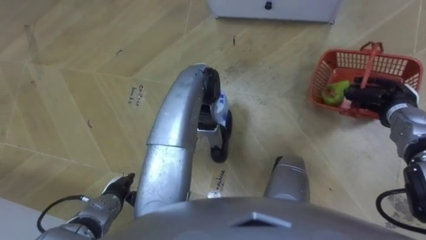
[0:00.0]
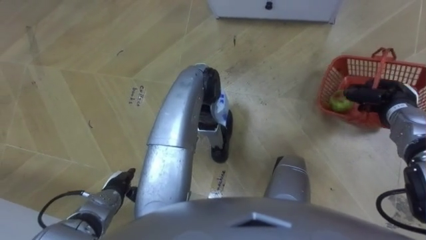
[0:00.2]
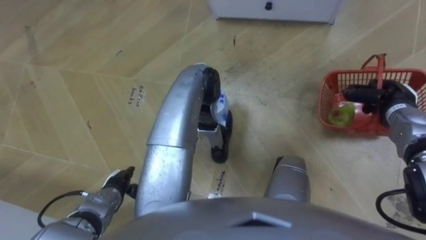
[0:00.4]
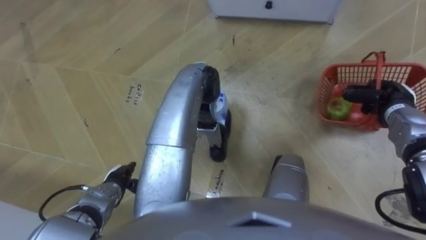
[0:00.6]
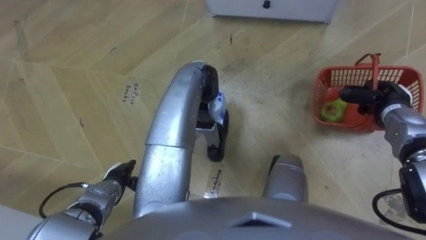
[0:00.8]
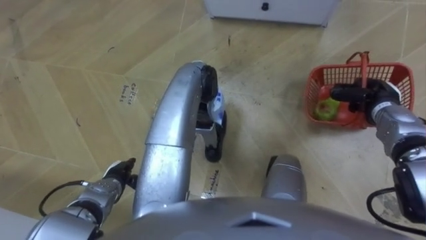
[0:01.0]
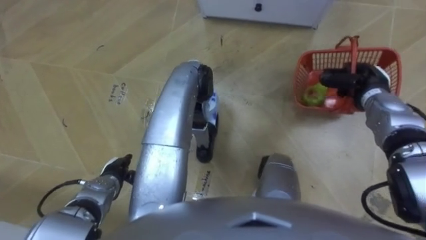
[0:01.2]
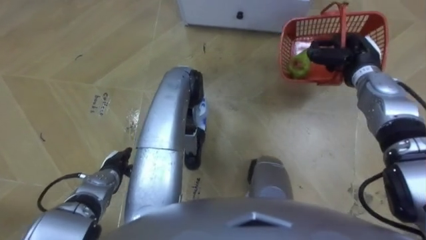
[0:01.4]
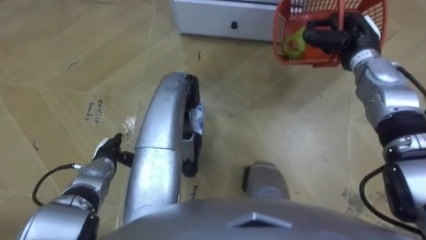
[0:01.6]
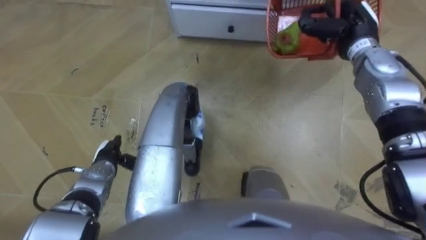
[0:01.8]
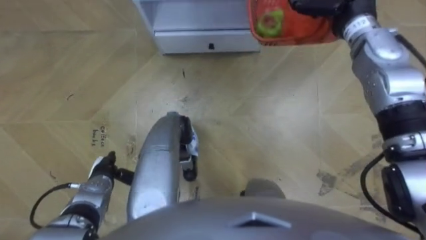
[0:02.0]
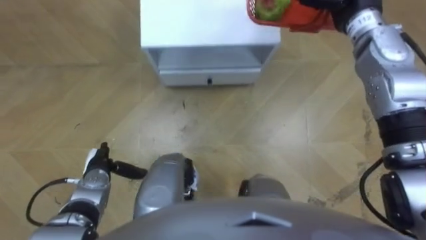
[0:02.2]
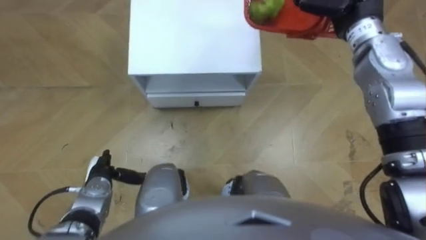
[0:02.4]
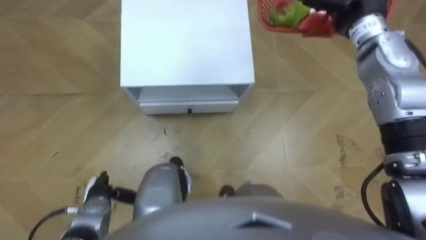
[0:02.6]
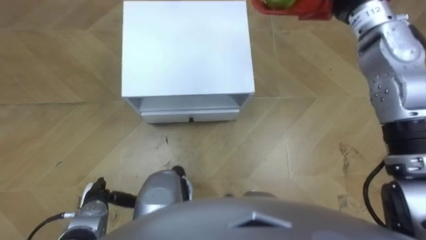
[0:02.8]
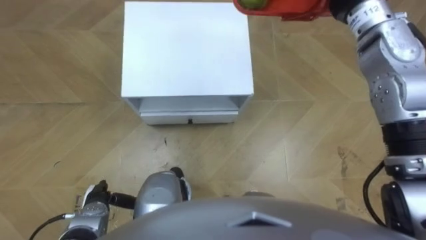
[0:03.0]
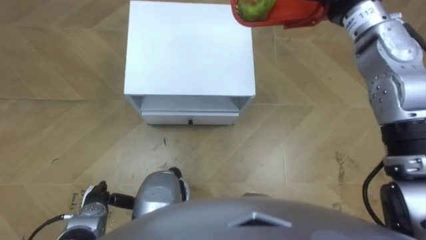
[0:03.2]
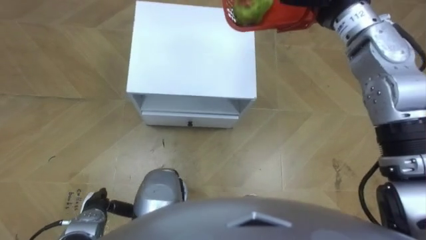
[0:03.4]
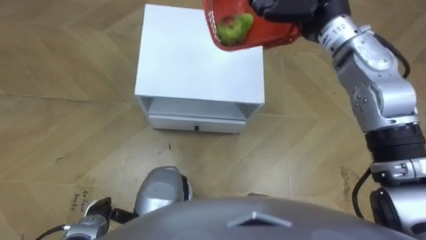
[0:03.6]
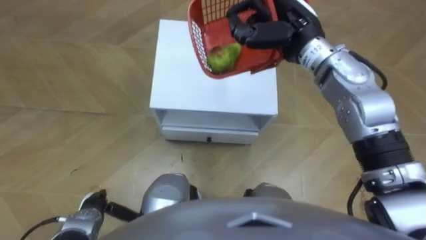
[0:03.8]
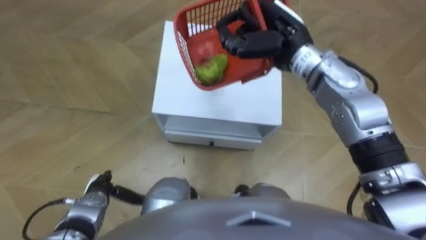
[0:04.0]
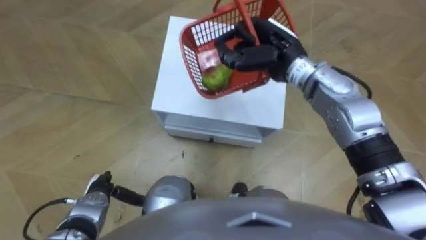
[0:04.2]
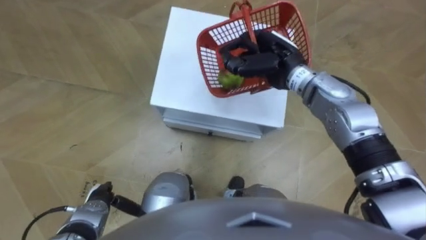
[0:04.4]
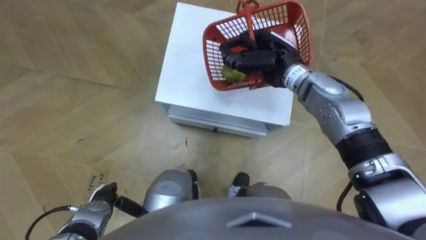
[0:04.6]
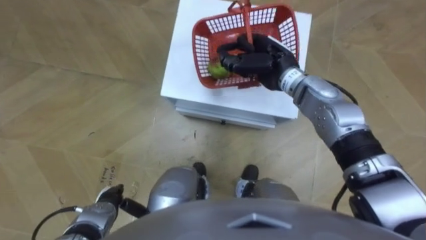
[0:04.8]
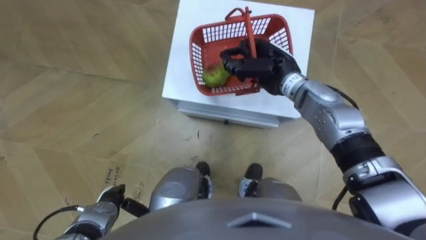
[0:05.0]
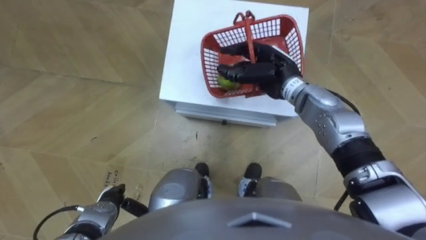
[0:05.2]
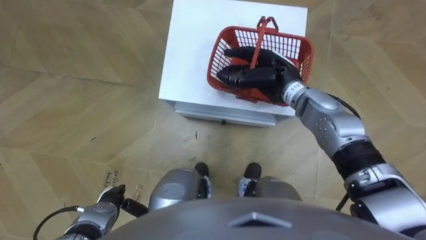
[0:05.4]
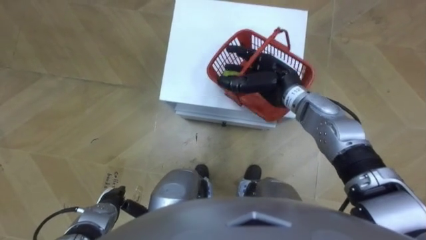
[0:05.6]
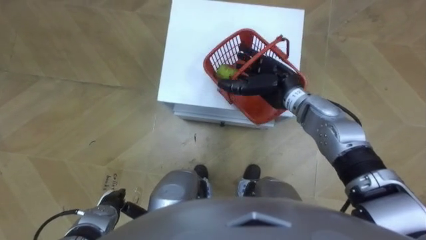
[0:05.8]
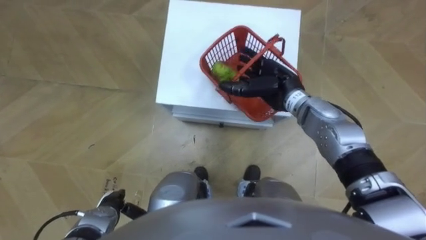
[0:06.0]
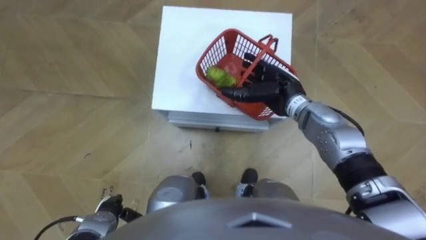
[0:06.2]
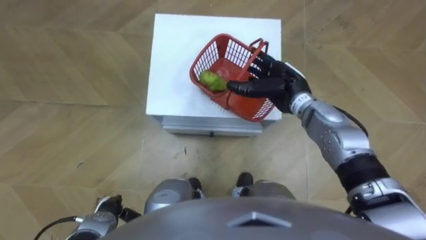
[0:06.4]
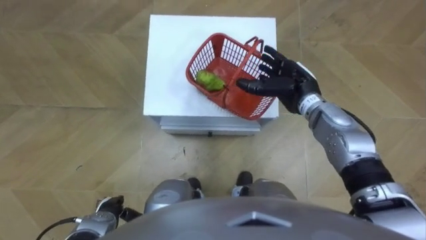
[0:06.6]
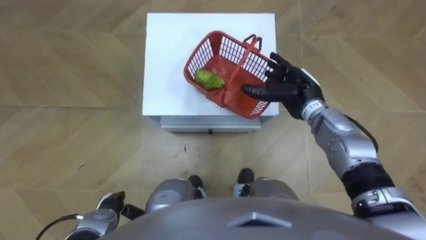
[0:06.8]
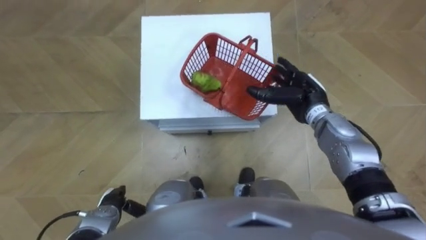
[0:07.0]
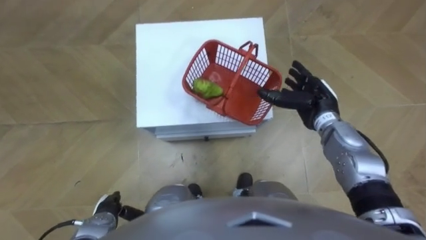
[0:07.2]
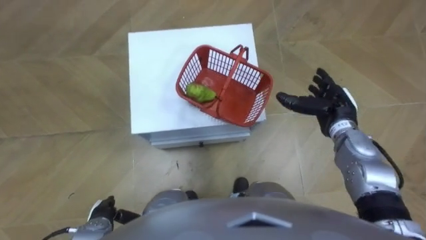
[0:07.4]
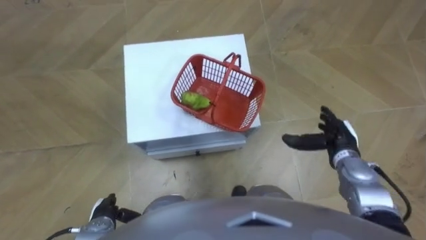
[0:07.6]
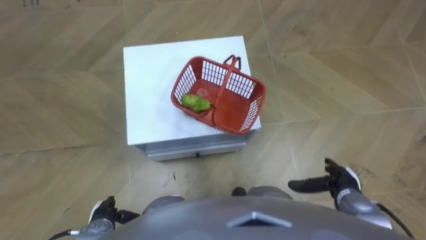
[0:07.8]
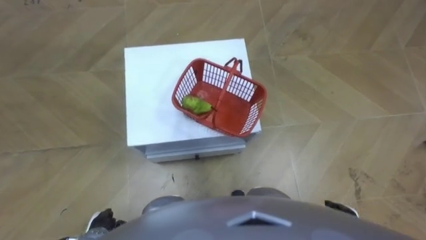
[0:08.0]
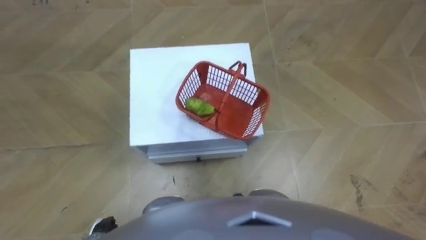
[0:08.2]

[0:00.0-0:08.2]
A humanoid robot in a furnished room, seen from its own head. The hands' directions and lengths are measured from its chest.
Task of the whole recording: Pick up the fruit basket from the floor and place it on the cabinet.
0:00.0 to 0:01.6: The right hand heads to the left, forward and upward, covering roughly 15 cm. Meanwhile the left hand is displaced forward by about 10 cm.
0:01.6 to 0:03.2: The left hand is displaced backward by roughly 10 cm.
0:05.0 to 0:06.6: The right hand moves to the right, roughly 5 cm, and opens.
0:06.6 to 0:08.2: The right hand moves backward and downward, about 35 cm.

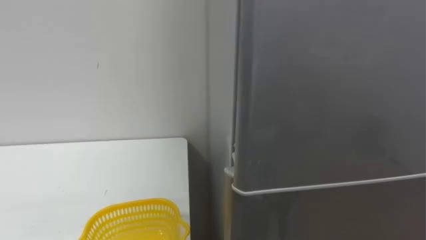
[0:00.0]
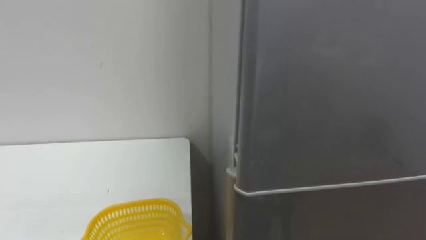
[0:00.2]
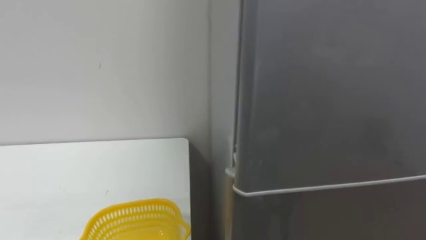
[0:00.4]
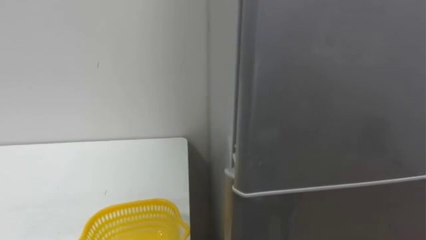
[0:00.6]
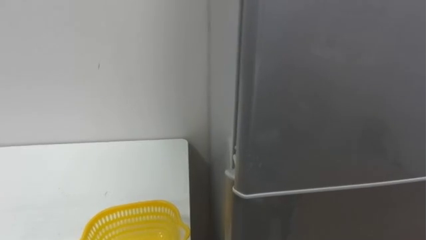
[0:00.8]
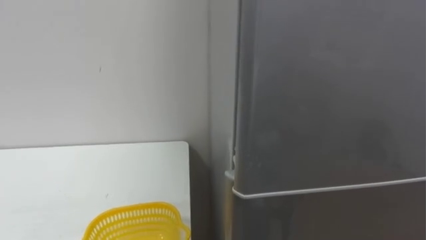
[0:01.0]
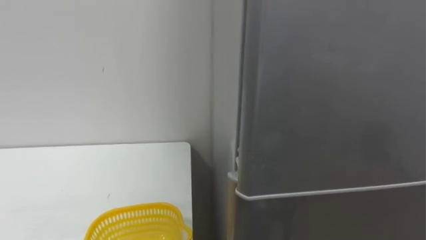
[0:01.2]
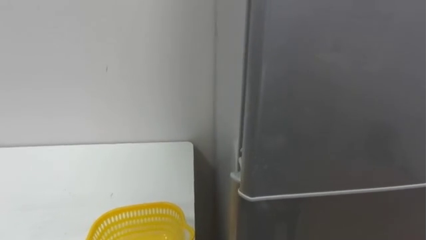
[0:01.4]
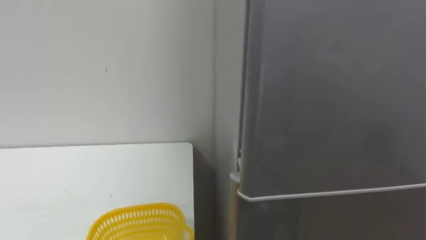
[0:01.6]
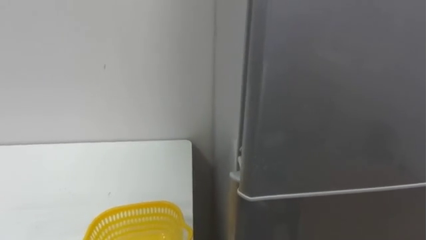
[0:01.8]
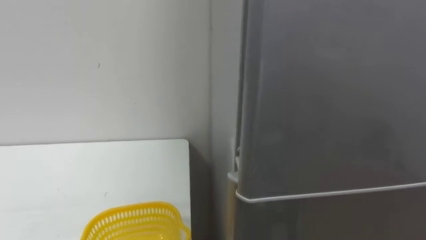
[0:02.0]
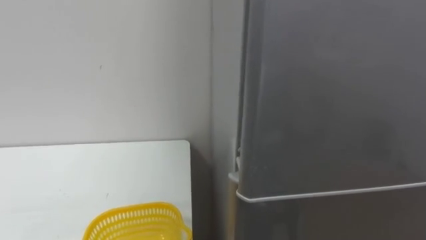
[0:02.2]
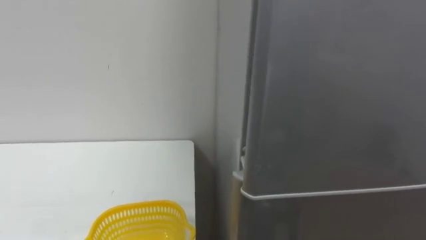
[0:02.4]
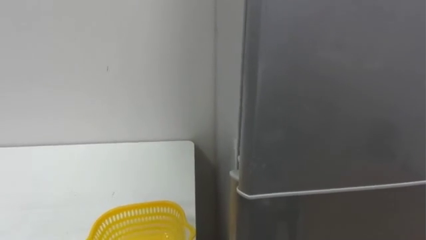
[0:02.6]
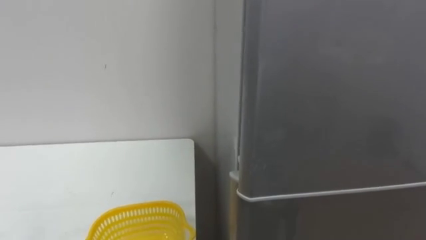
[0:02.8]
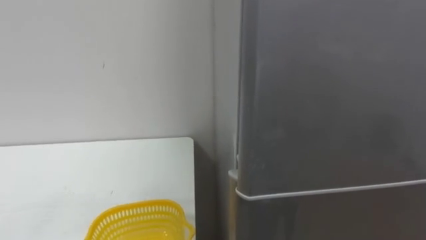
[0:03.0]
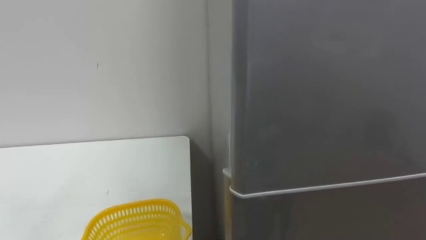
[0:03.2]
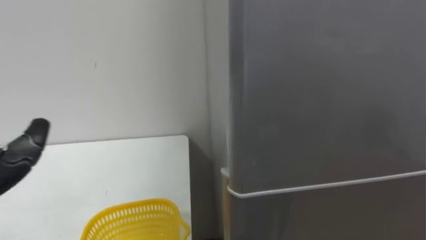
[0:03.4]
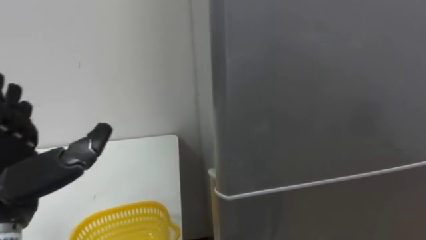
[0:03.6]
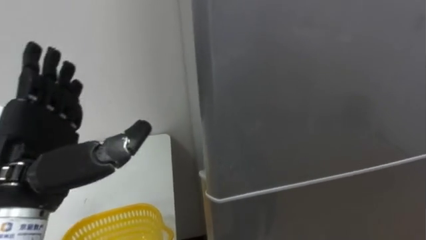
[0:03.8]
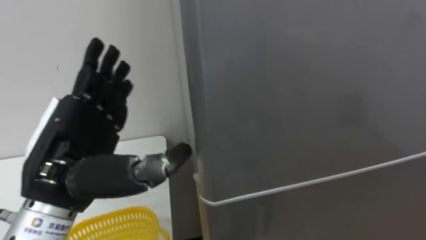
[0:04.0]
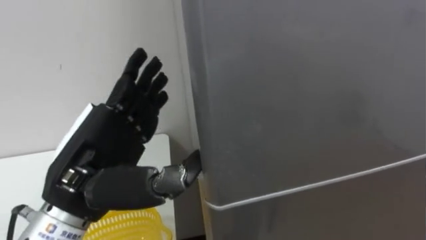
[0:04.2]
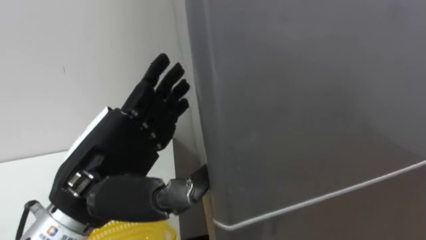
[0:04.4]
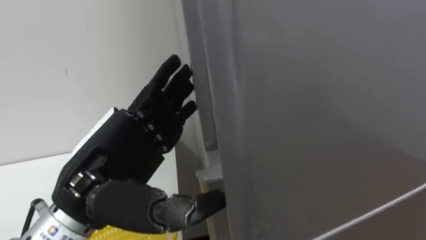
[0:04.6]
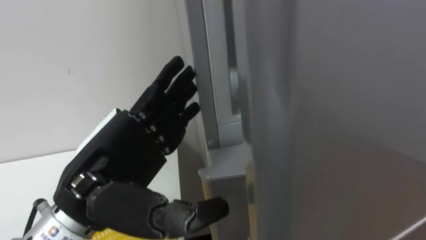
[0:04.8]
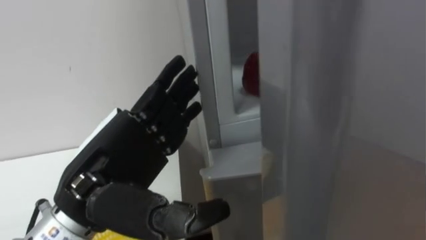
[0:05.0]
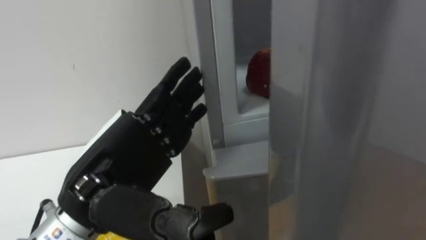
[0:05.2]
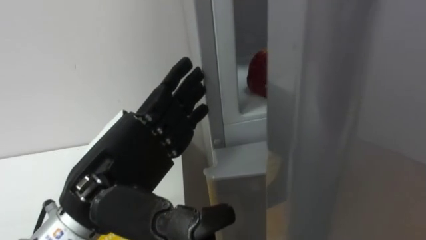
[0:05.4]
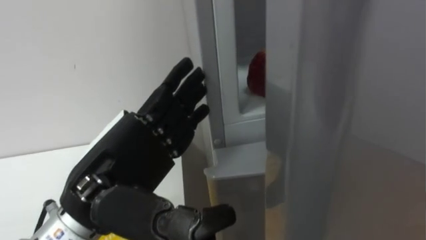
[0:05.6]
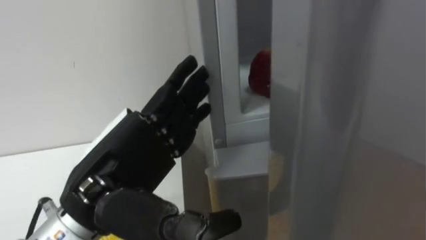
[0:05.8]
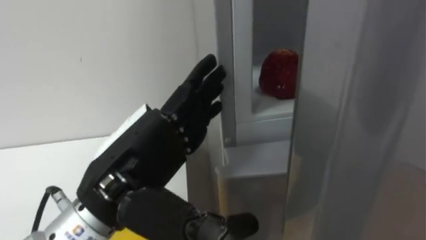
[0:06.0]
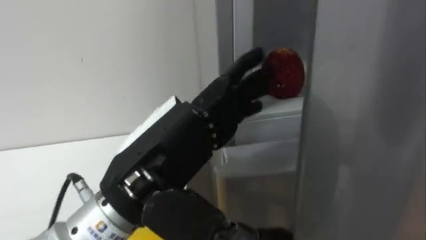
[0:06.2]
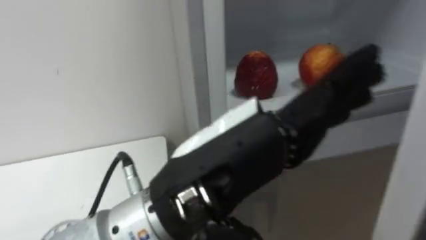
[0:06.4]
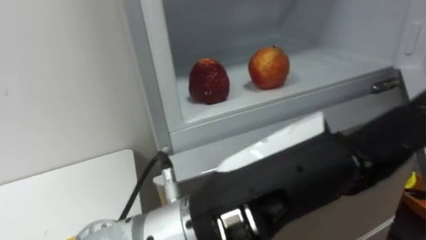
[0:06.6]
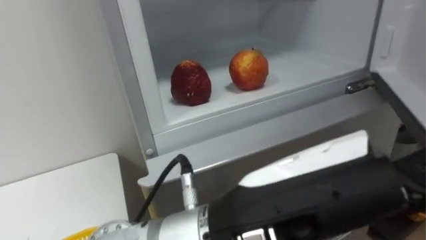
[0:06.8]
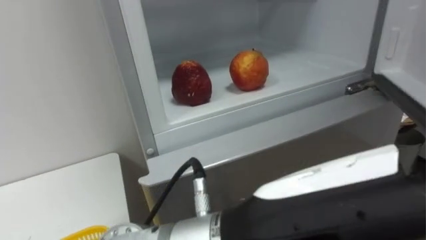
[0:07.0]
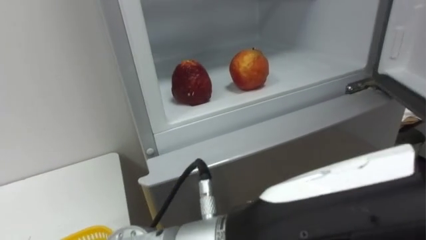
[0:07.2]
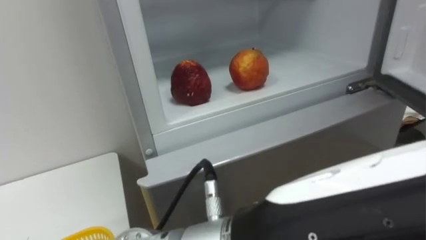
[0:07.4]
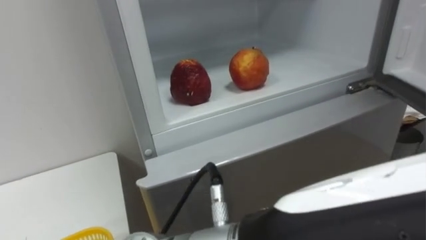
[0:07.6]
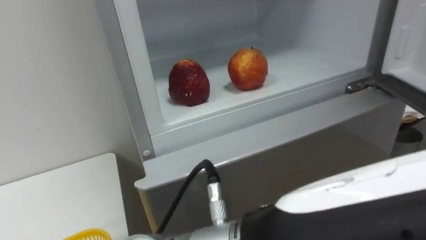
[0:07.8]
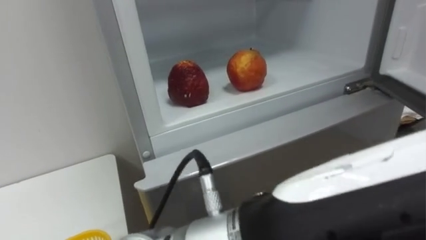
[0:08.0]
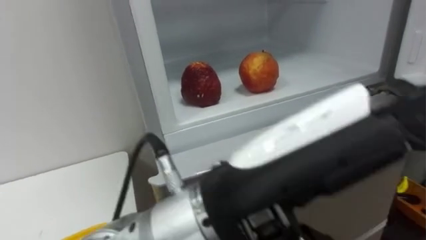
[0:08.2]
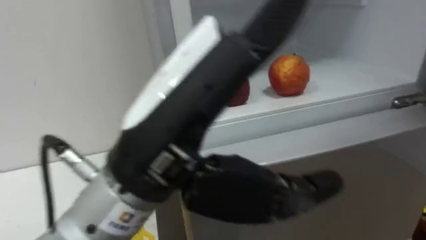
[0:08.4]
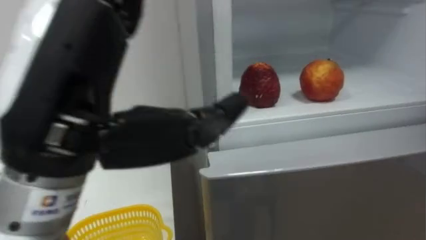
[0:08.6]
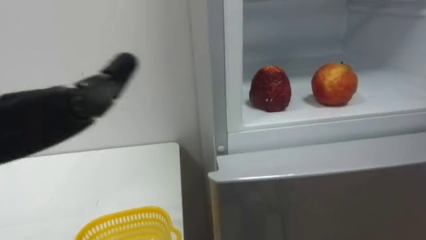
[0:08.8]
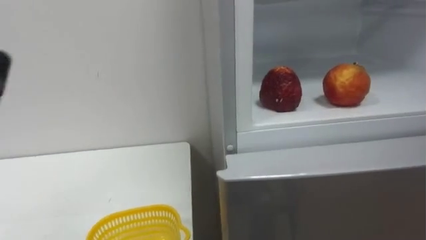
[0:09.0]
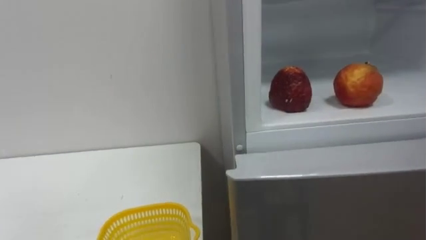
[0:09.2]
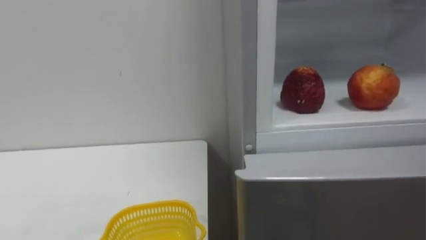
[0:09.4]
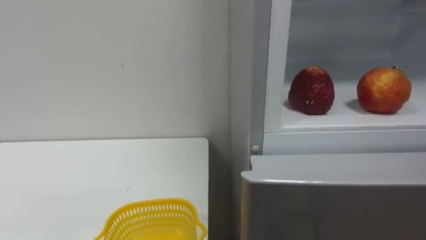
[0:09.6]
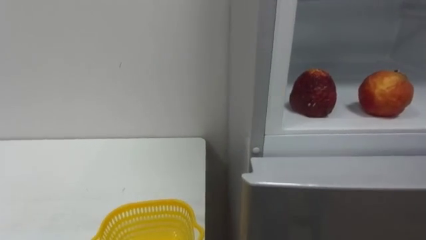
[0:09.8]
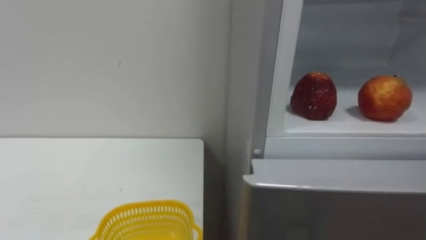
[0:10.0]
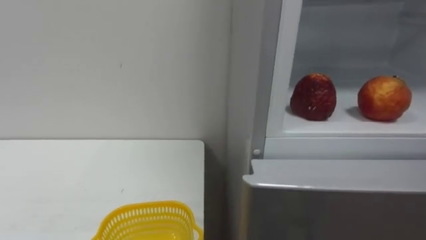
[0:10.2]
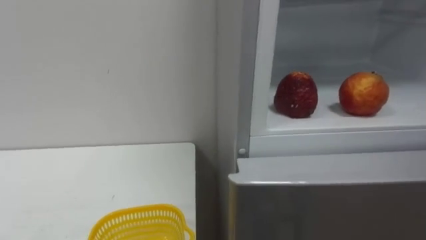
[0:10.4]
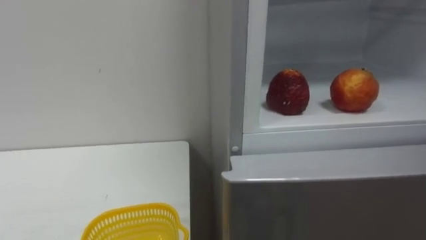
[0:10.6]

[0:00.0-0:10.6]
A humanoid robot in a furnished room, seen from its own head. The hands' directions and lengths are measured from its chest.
Task of the whole recording: Open the refrigerator door, take out the apple and the pomegranate, place them in the fruit basket on the left, and close the refrigerator door.
0:06.0 to 0:07.6: The left hand shifts approximately 20 cm to the right and backward.
